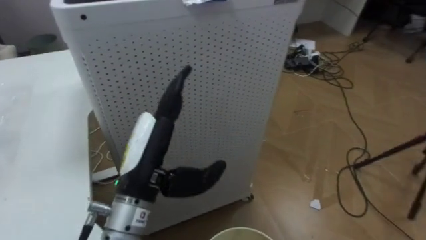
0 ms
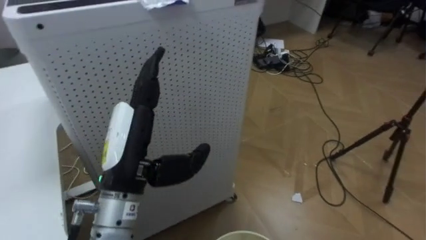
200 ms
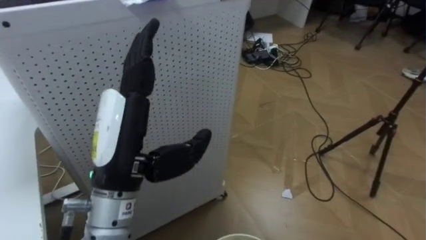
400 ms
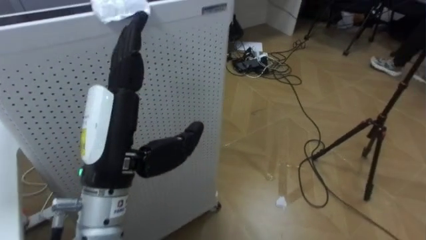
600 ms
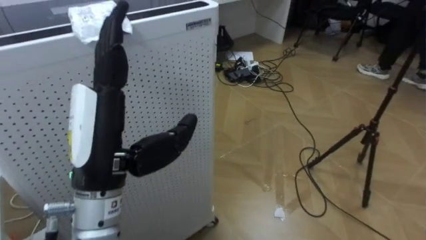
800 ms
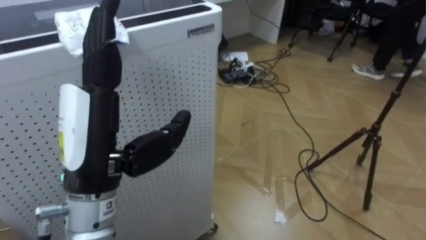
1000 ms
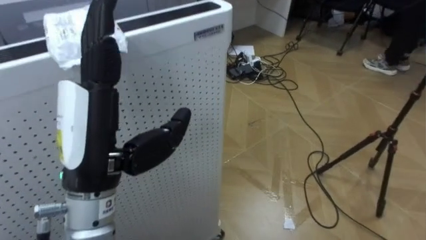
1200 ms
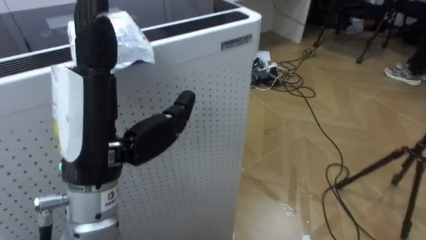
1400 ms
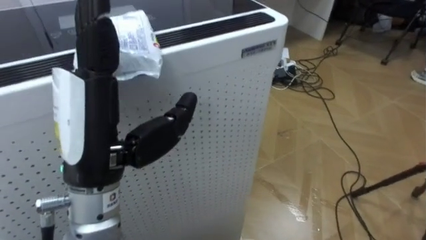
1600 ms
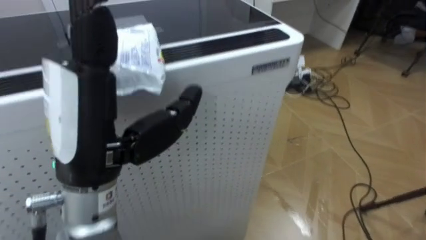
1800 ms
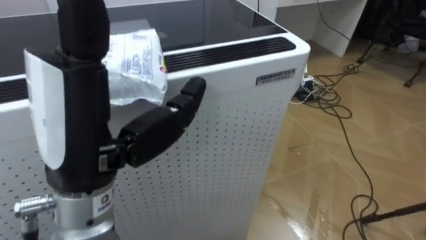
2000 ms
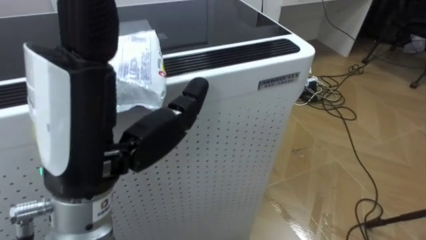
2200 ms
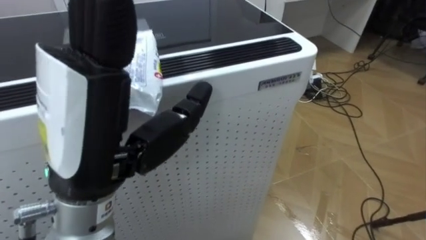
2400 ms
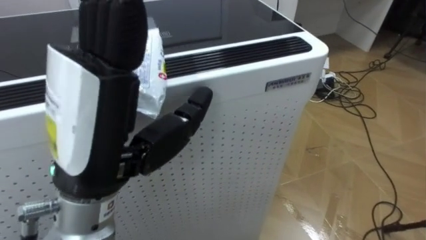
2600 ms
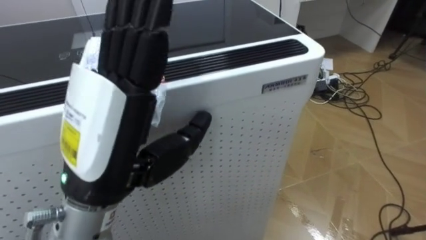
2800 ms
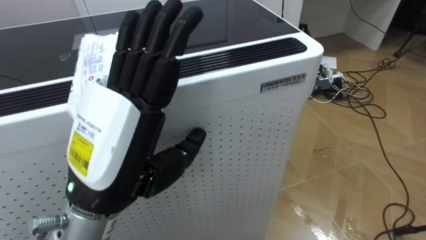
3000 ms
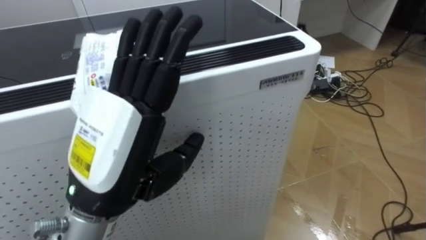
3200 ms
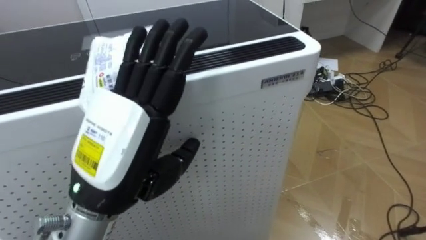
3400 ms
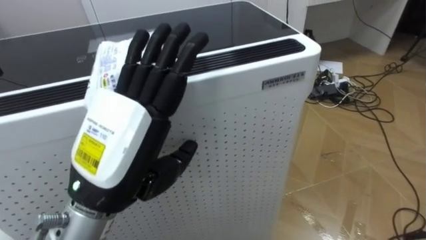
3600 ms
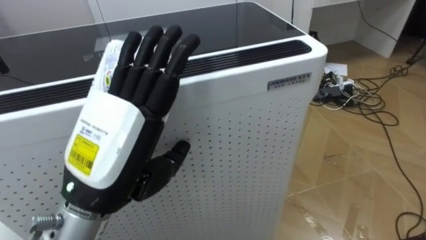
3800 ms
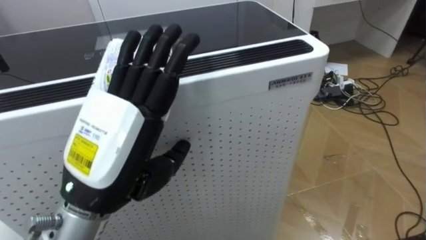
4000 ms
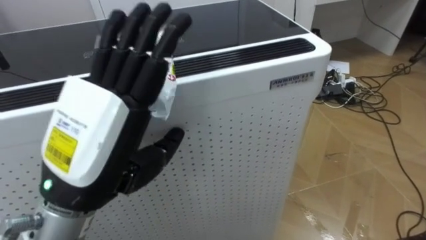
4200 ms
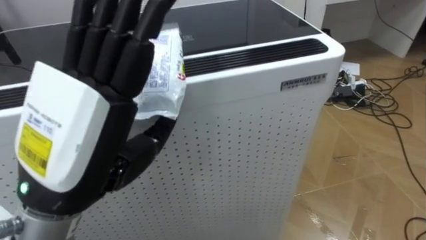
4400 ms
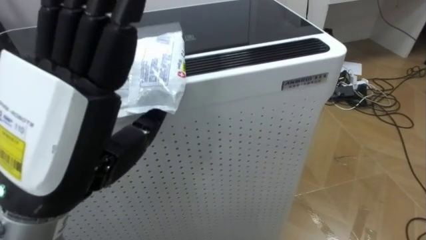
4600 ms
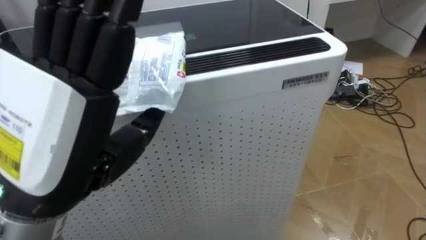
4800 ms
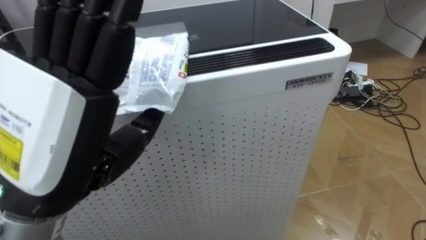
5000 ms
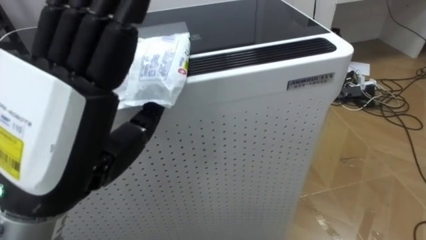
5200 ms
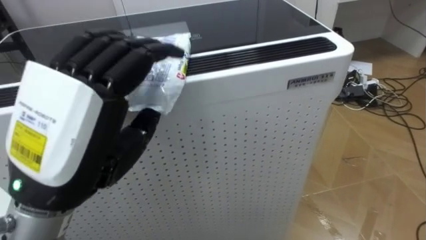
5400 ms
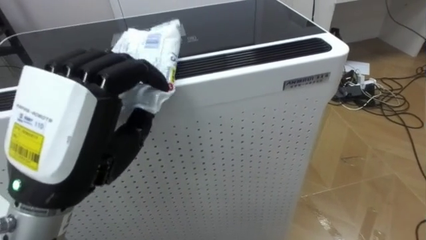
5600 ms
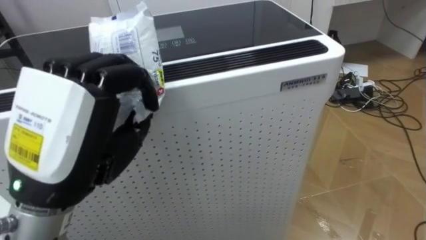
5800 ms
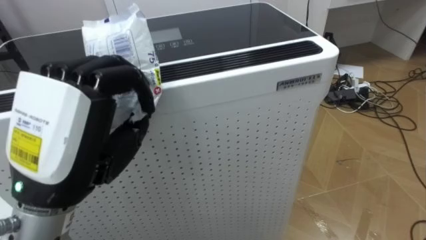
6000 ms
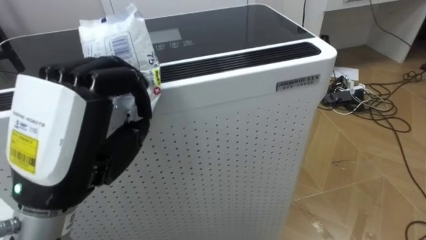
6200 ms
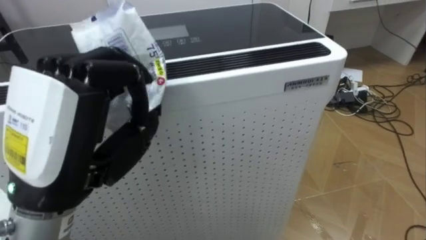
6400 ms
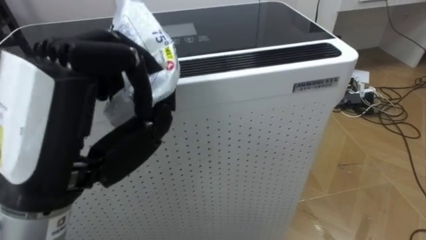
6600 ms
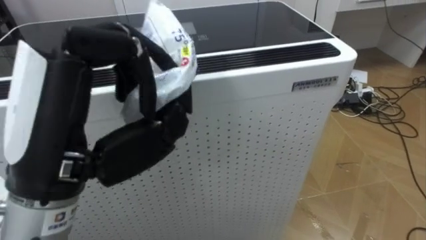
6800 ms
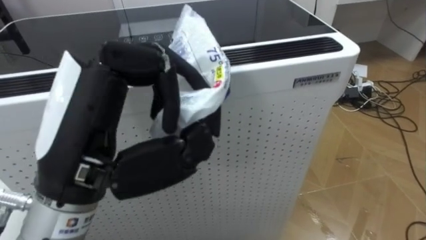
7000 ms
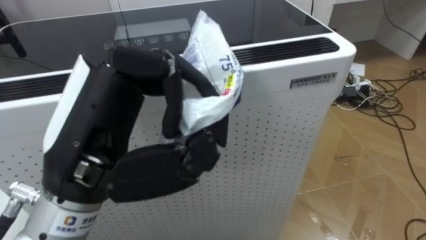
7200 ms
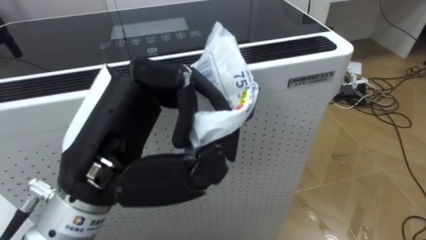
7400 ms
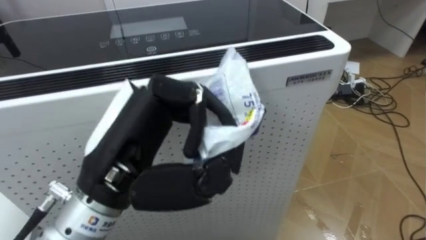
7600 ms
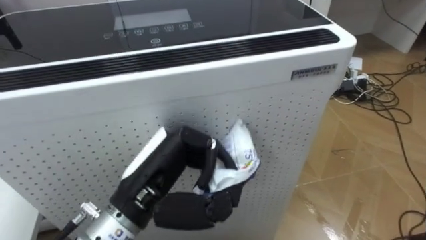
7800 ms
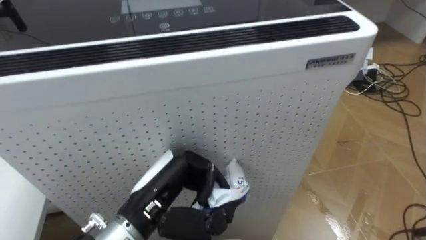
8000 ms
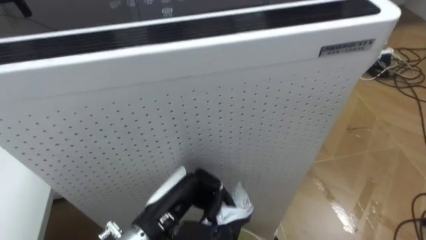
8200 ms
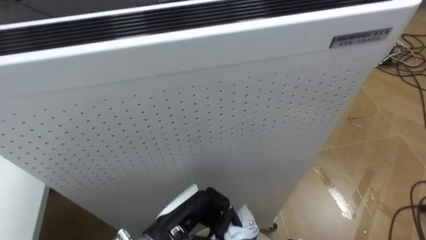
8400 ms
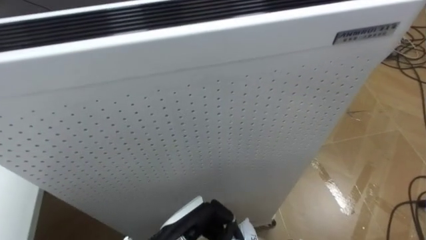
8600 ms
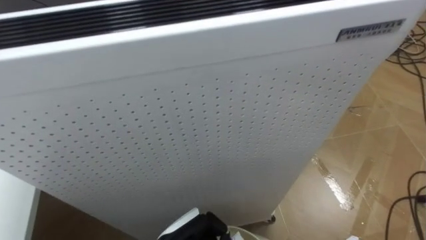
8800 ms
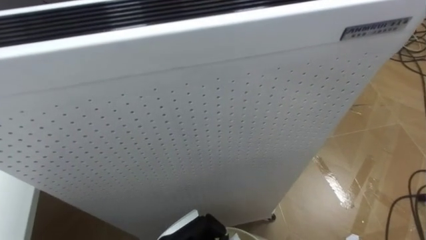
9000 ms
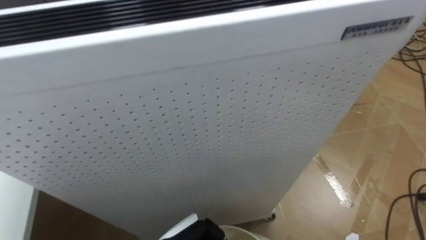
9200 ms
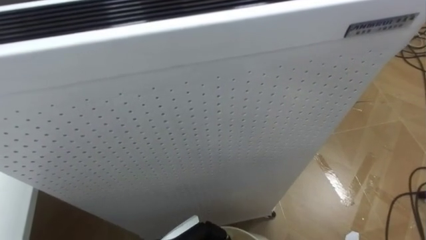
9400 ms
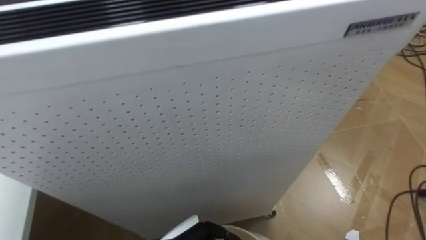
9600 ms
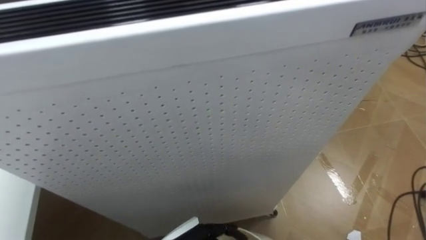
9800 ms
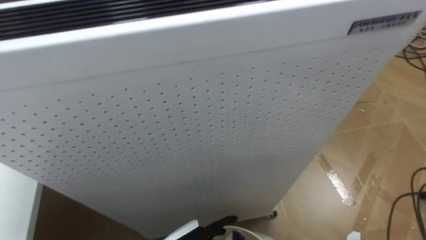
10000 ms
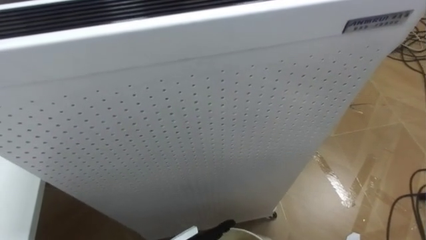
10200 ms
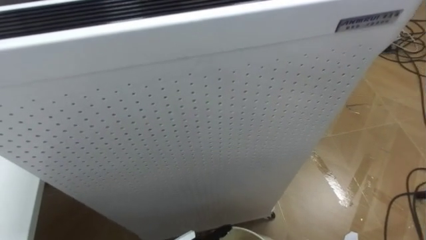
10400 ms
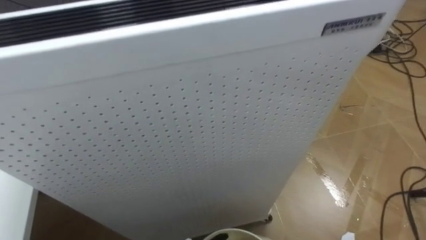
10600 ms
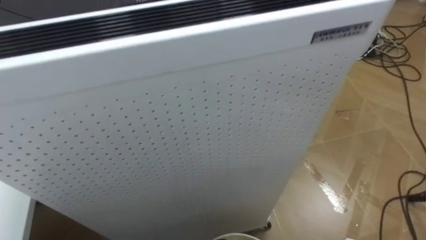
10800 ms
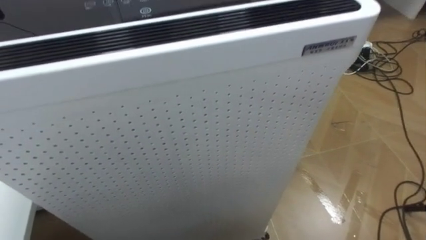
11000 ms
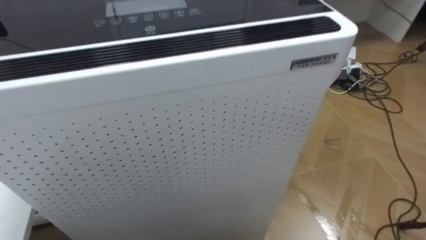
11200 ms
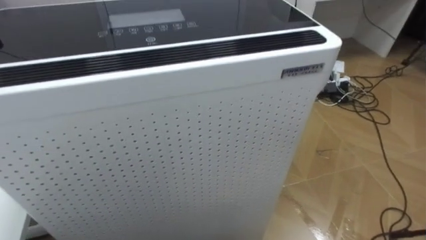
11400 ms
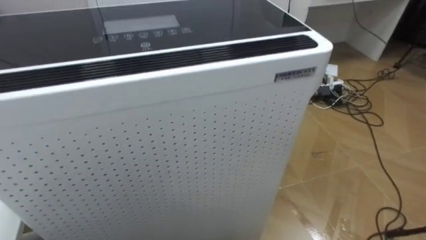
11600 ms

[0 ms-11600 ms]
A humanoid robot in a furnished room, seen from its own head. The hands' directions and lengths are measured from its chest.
Task of the whole recording: Pick up the light blue package, the candy box, and the dark blue package separately, and put them into the trash can held in your right hand.
0 ms to 1400 ms: The left hand heads upward, covering about 10 cm.
1400 ms to 2800 ms: The robot faces about 15 degrees further to its left.
4400 ms to 5800 ms: The left hand closes its fingers.
7200 ms to 8800 ms: The left hand travels downward by some 25 cm.

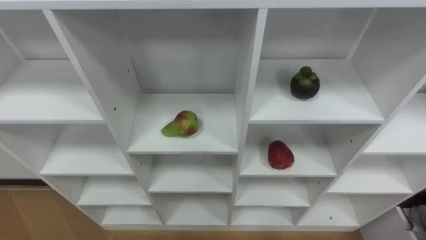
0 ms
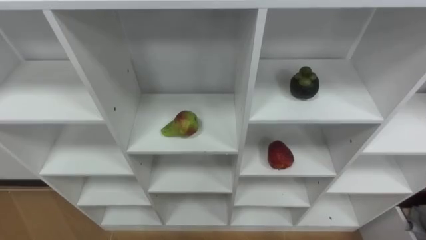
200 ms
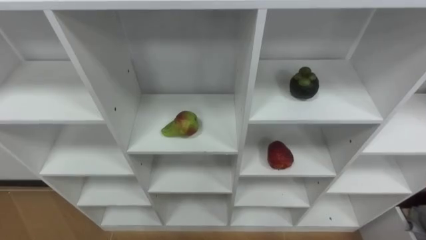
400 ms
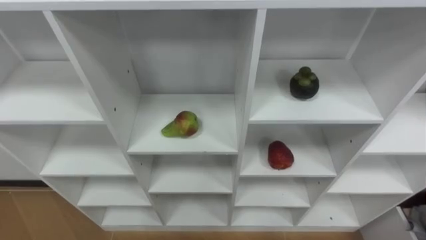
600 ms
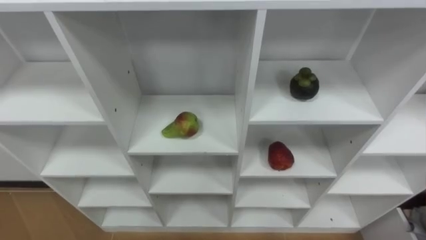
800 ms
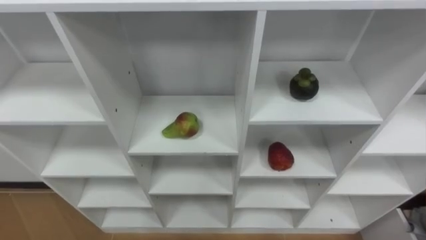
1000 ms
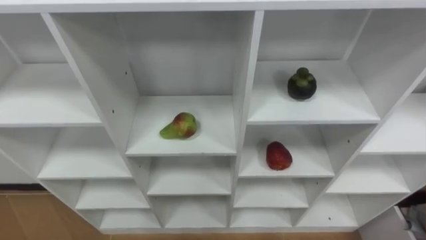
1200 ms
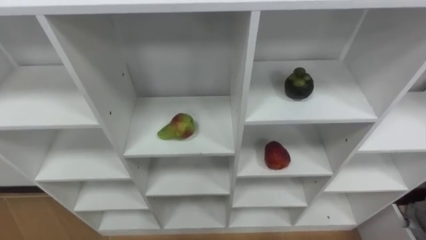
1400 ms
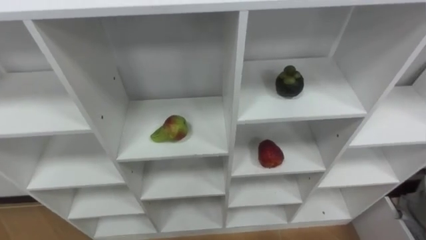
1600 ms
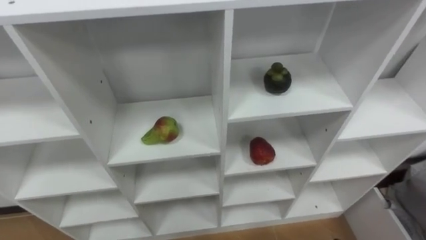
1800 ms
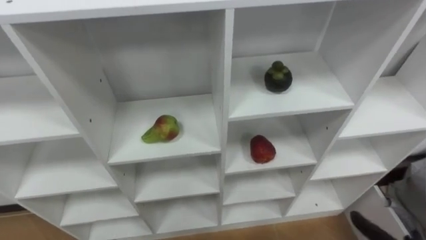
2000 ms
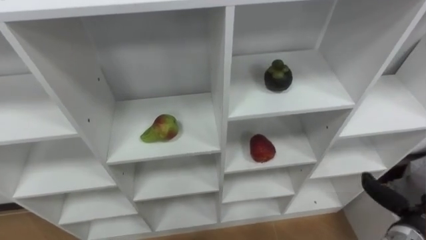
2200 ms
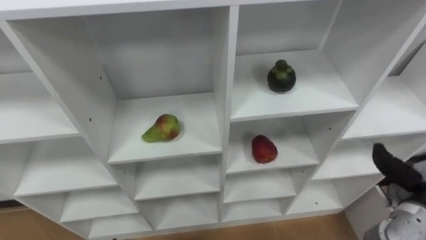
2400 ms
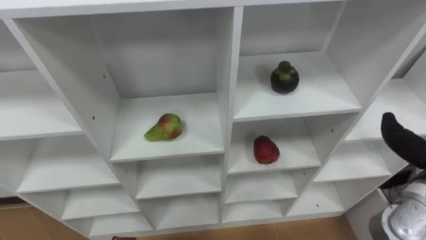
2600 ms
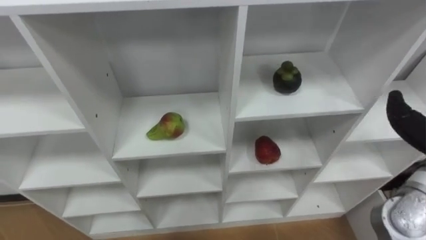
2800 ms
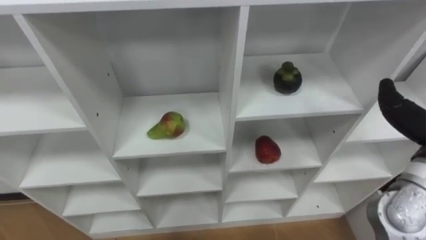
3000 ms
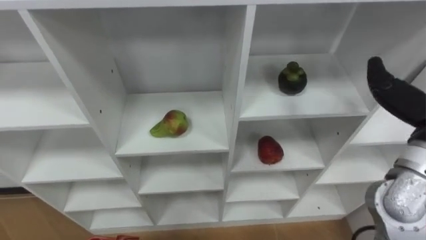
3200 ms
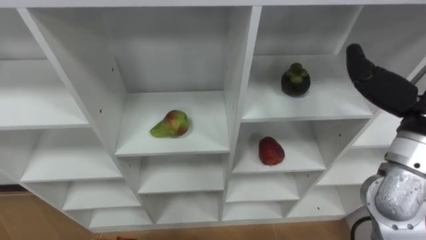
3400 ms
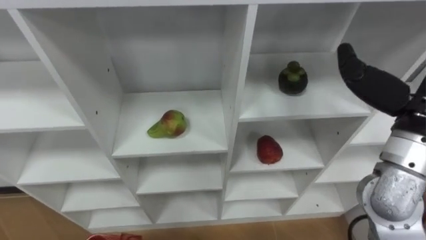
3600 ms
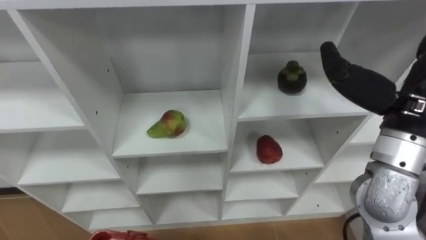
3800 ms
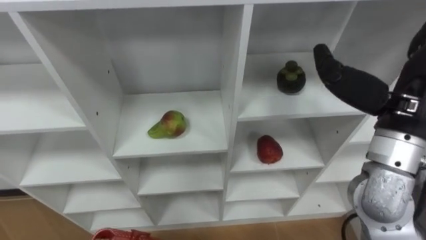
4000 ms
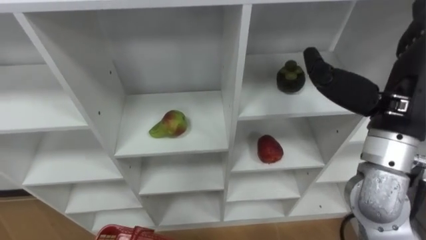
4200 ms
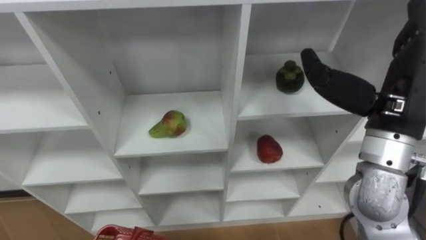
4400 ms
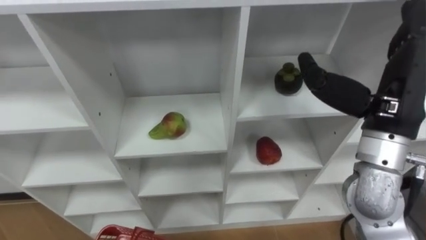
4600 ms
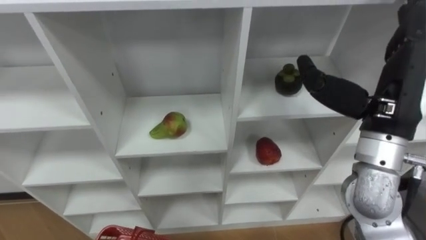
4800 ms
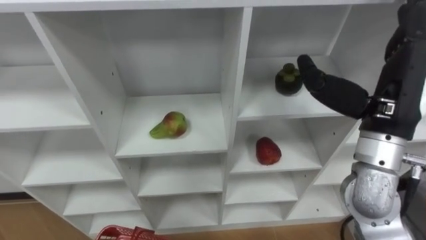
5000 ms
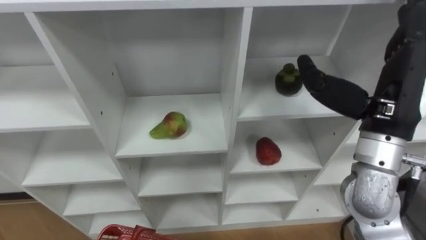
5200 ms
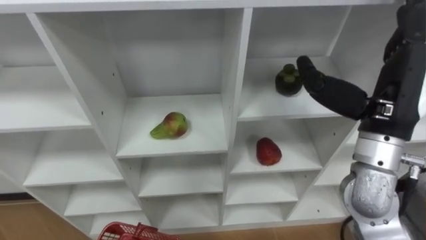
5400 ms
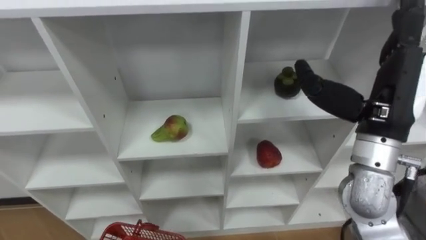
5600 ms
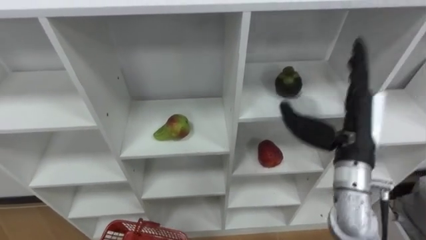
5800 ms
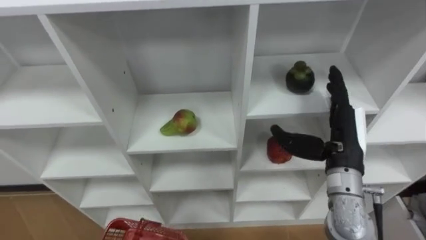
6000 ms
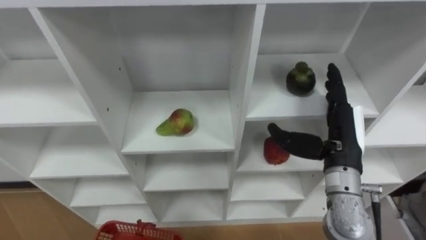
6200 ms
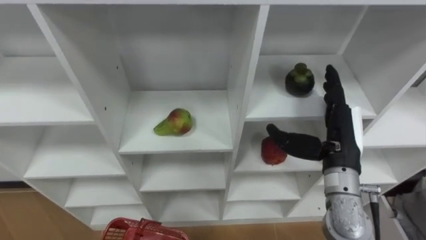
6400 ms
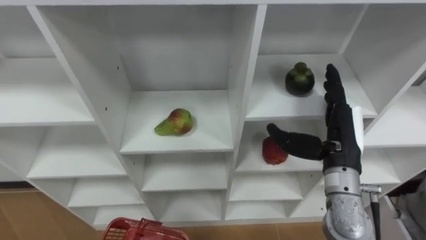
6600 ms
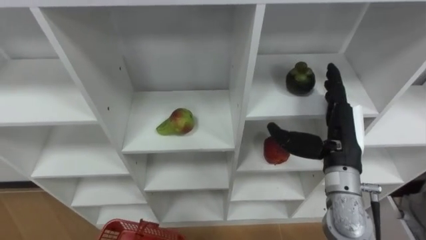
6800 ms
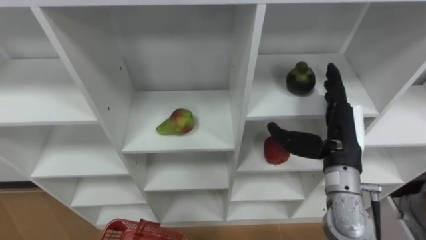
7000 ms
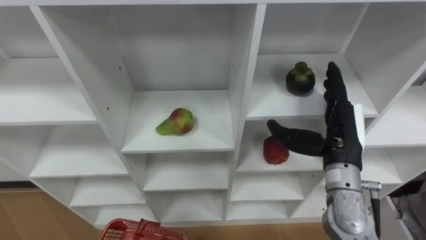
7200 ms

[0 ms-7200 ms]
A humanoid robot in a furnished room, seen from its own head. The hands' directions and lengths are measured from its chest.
Task of the whole recording: Hold the basket and collect the fruits from 3 different cells of the closet into it.
4400 ms to 5800 ms: The right hand shifts roughly 10 cm downward.
5800 ms to 7200 ms: The right hand heads downward, covering roughly 5 cm.
